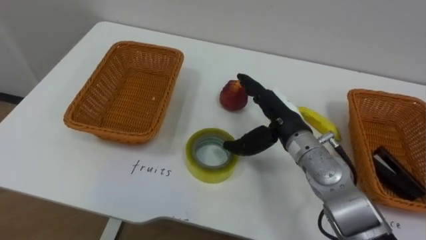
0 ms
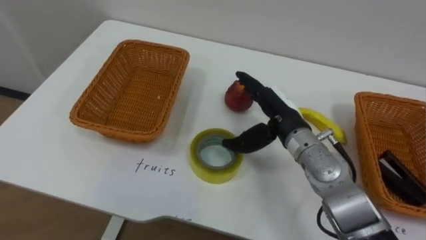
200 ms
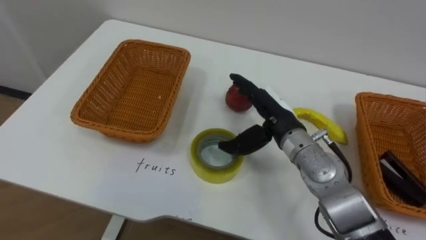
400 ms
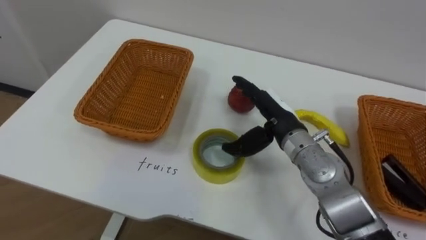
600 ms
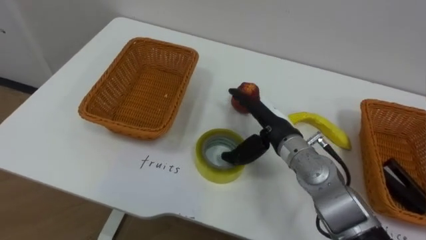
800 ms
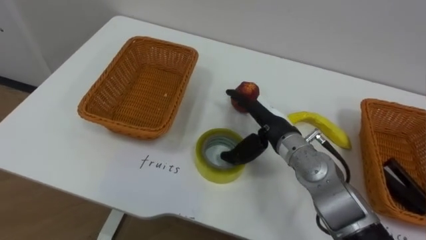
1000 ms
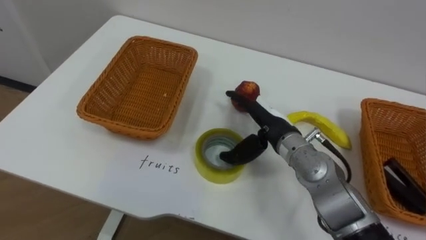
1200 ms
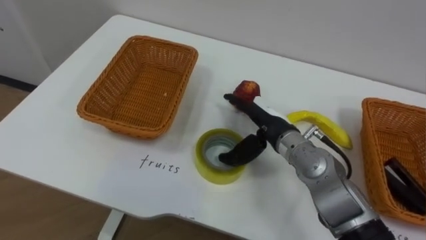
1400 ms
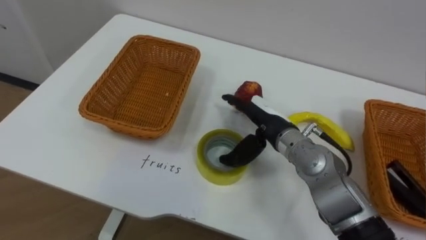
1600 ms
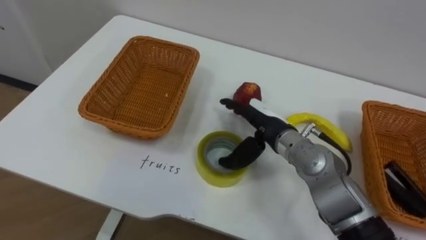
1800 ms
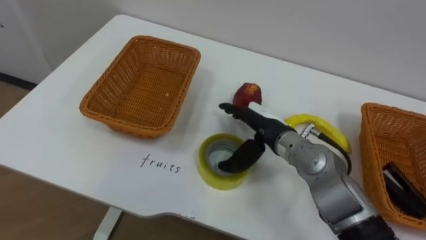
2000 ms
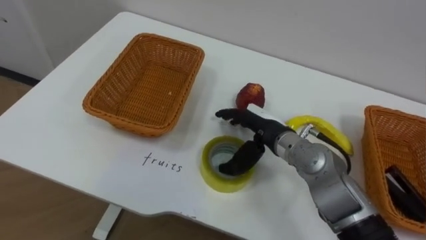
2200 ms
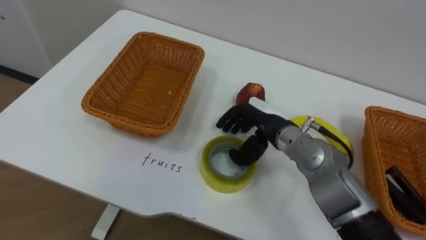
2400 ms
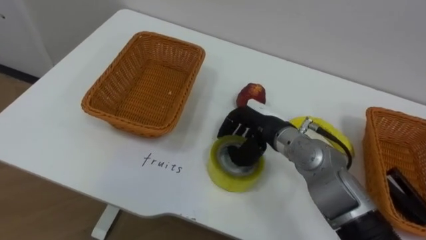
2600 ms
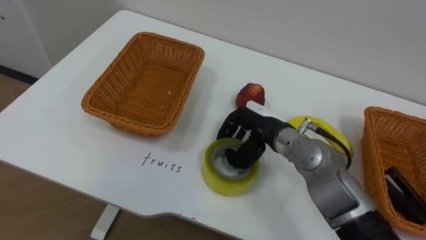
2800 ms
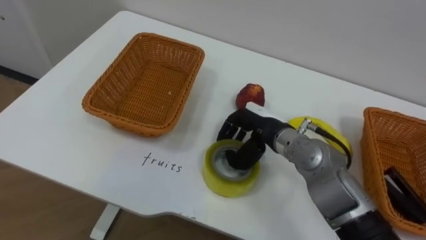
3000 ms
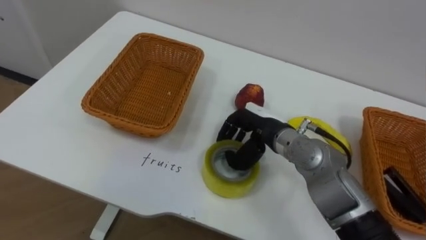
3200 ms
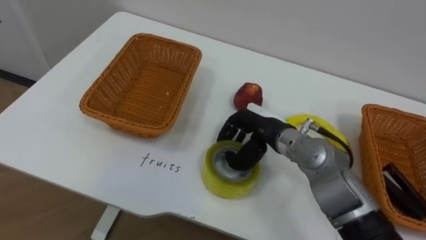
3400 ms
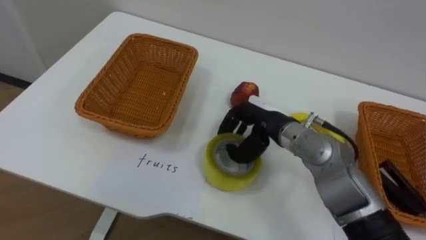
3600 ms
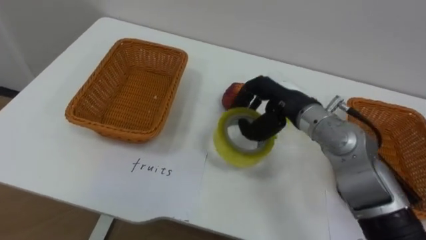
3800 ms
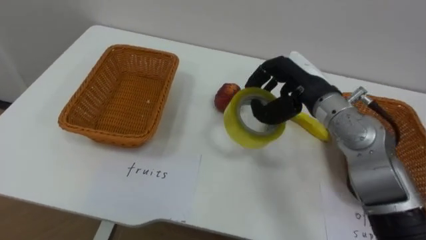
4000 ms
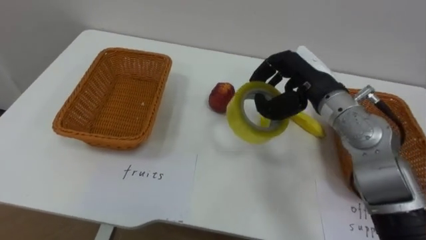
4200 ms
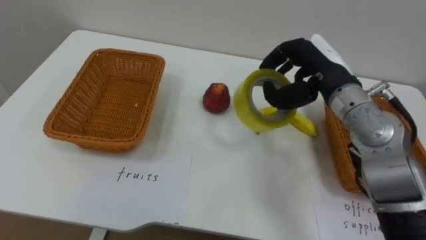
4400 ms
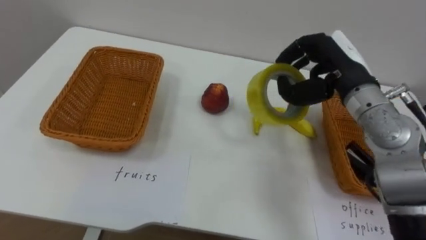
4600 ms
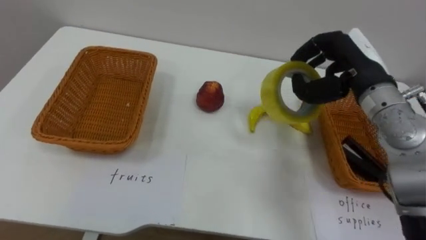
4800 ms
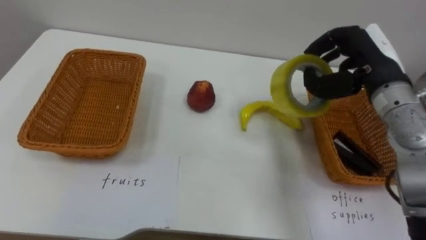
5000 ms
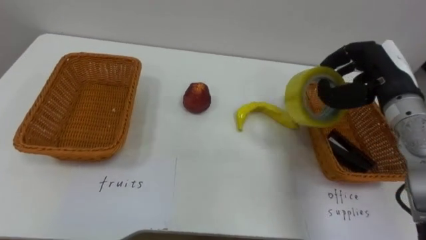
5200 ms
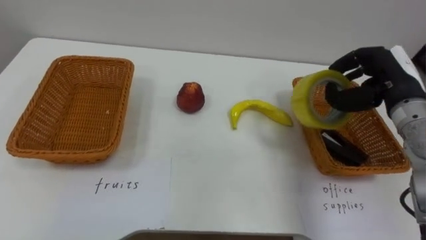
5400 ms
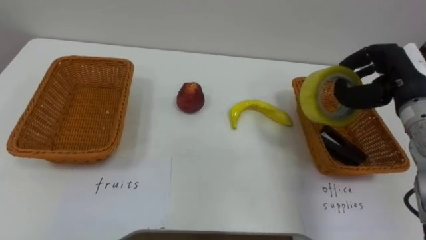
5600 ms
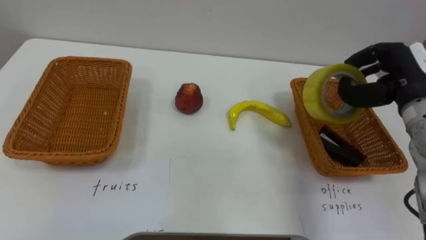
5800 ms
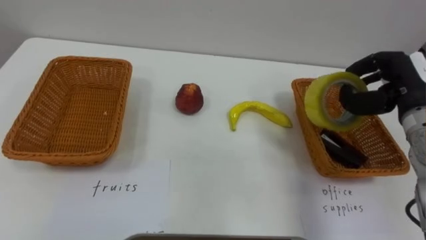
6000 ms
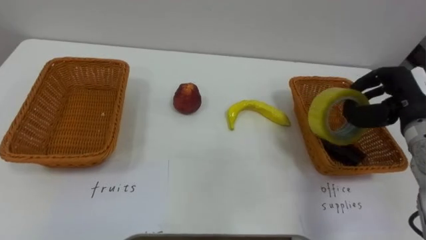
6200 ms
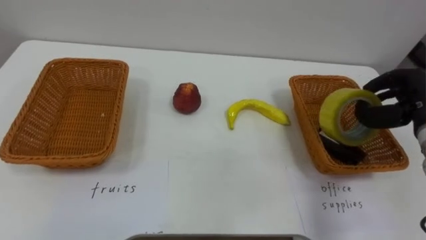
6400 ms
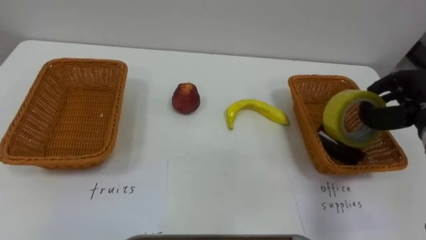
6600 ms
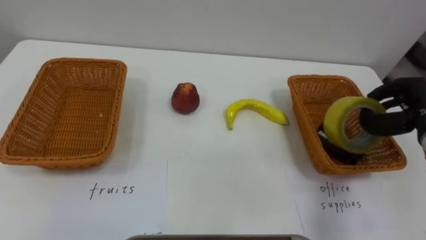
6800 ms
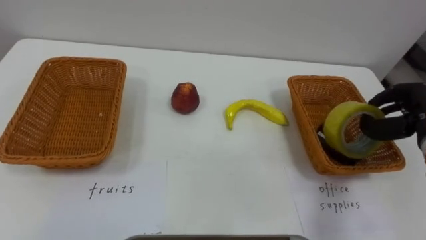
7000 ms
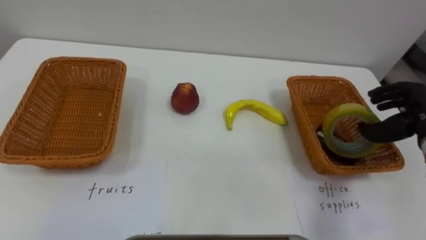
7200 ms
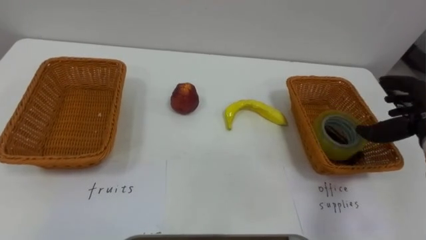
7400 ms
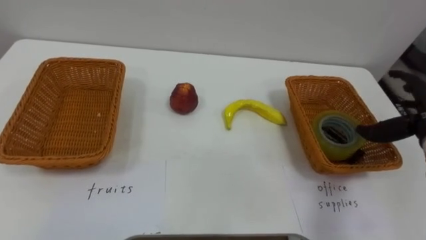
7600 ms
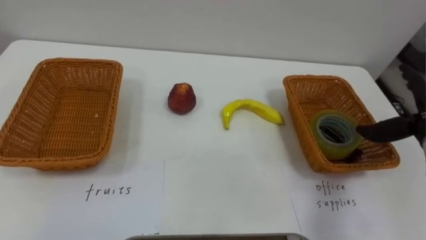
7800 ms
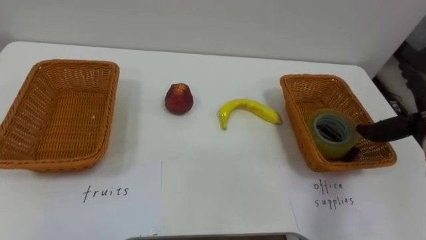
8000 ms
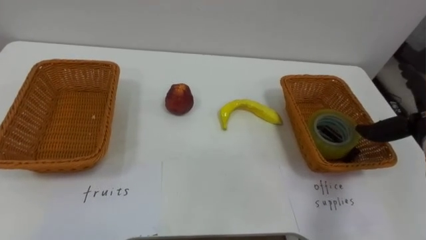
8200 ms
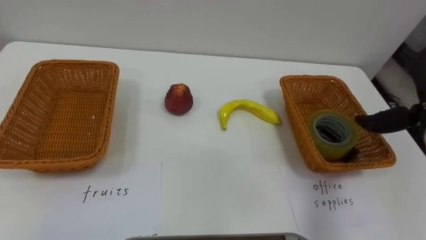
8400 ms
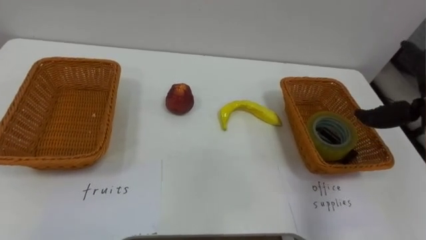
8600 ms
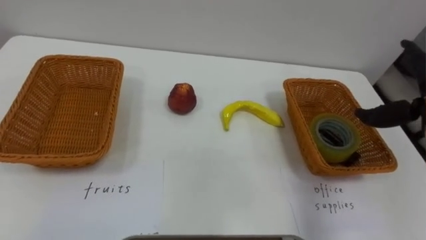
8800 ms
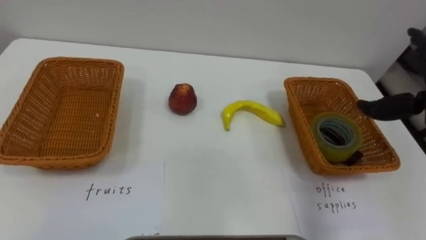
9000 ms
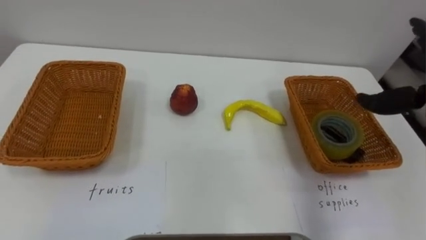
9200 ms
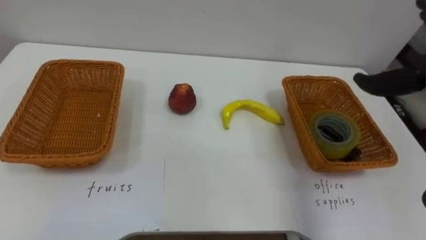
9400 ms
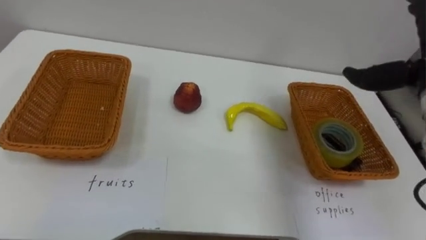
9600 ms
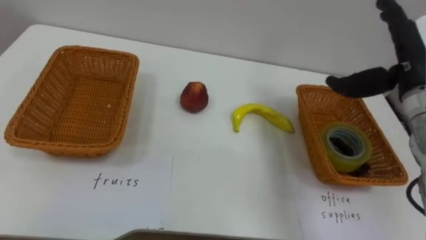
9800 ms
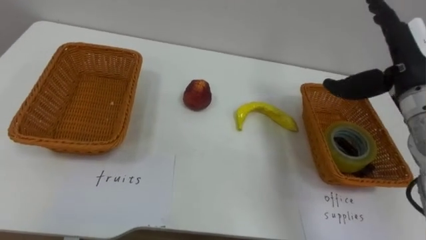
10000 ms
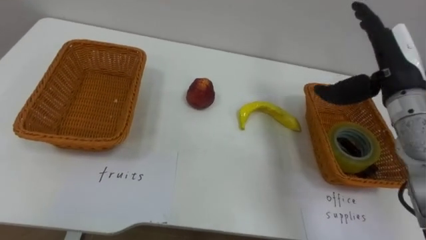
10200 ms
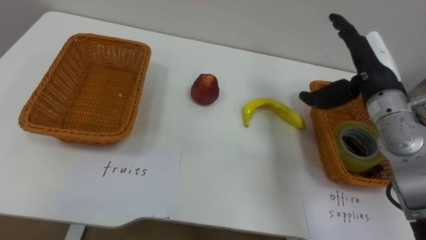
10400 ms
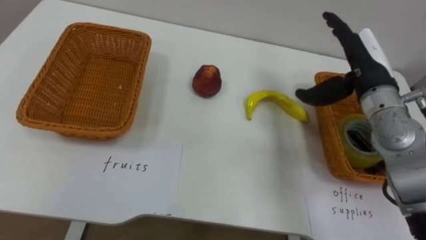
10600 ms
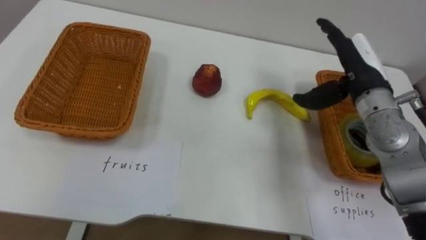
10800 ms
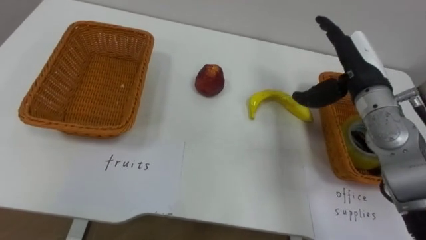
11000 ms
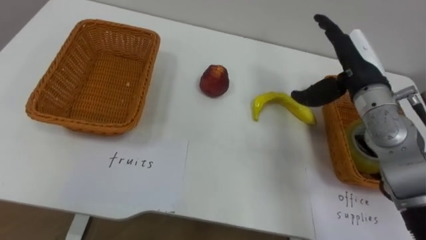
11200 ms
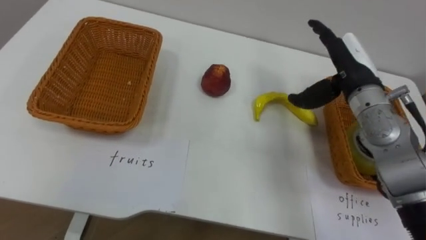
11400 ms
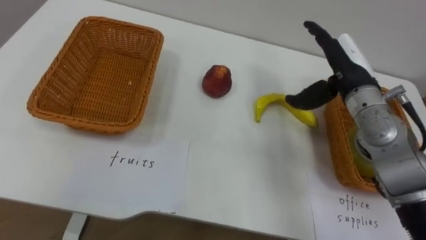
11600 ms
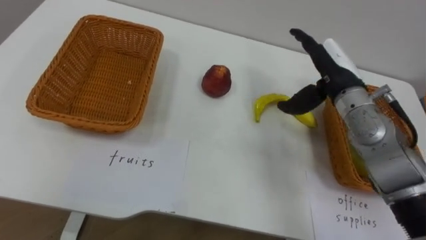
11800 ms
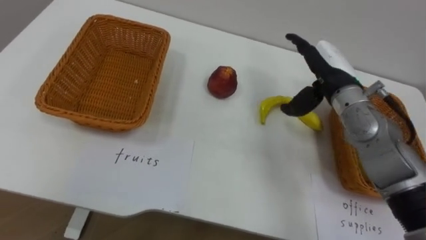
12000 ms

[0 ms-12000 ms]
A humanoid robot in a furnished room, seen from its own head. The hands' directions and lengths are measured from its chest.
Task of the whole recording: Separate the items on the table and place them into the two baskets.
1600 ms to 3000 ms: The right hand closes.
3000 ms to 4400 ms: The right hand is displaced upward and to the right by approximately 15 cm.
4400 ms to 6000 ms: The right hand shifts approximately 15 cm to the right.
10400 ms to 12000 ms: The right hand moves to the left, about 5 cm.

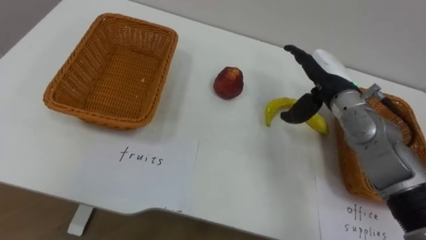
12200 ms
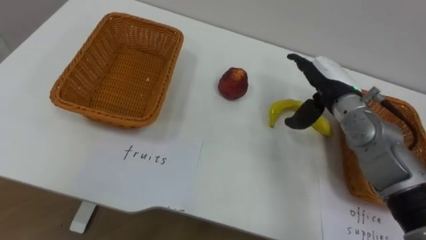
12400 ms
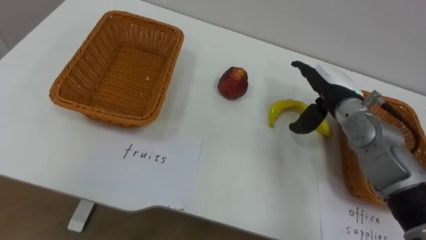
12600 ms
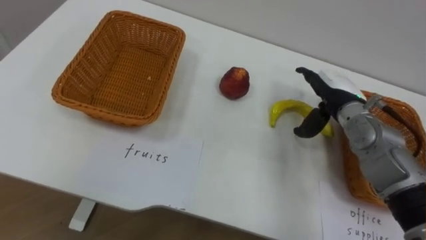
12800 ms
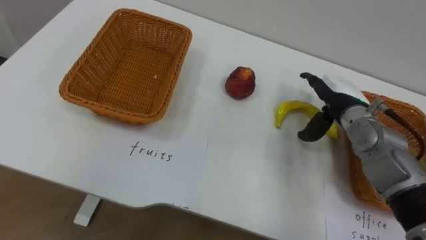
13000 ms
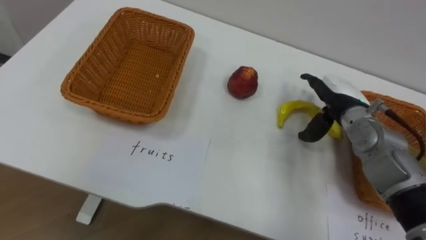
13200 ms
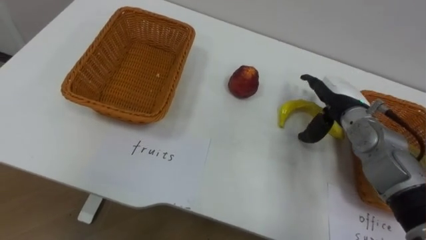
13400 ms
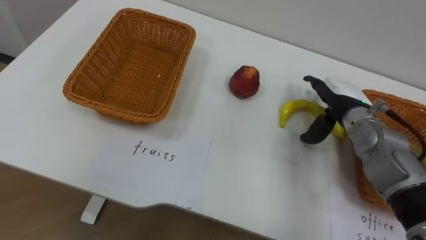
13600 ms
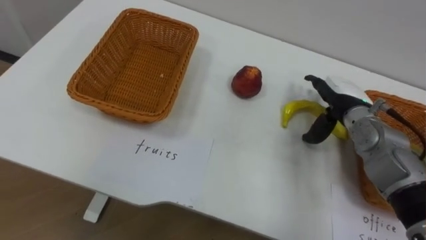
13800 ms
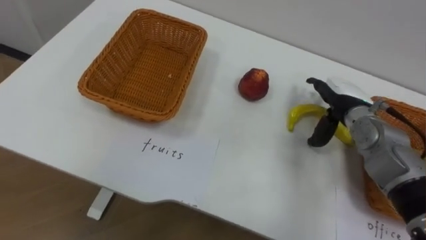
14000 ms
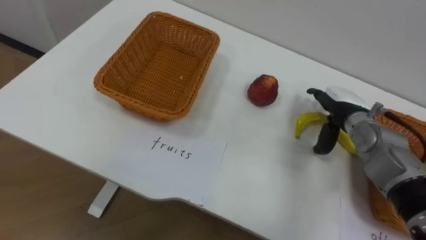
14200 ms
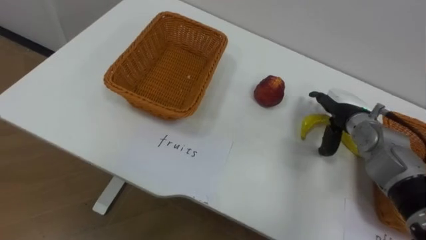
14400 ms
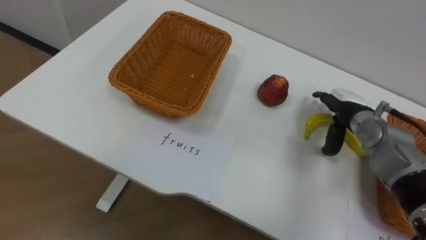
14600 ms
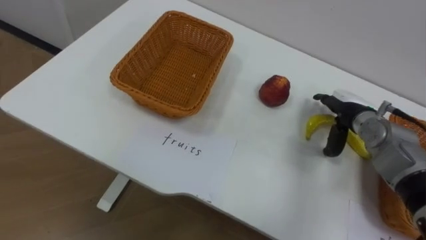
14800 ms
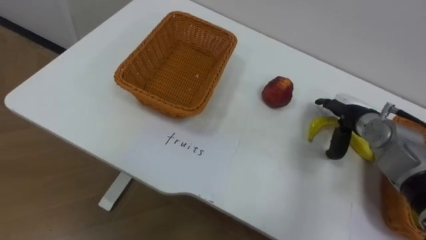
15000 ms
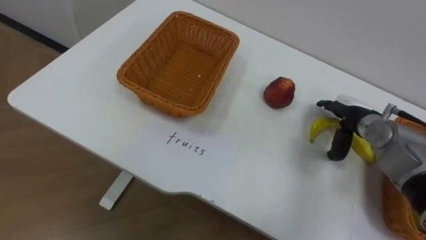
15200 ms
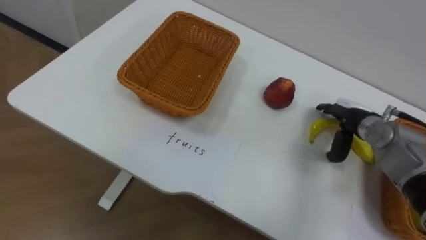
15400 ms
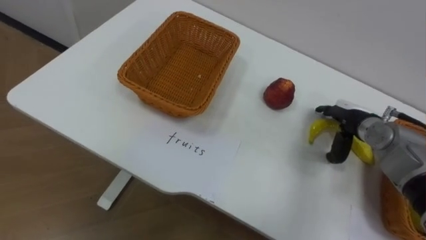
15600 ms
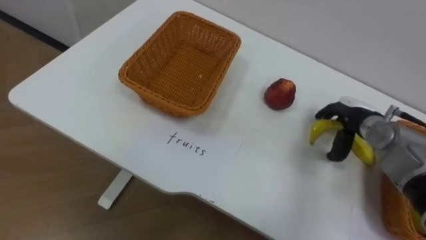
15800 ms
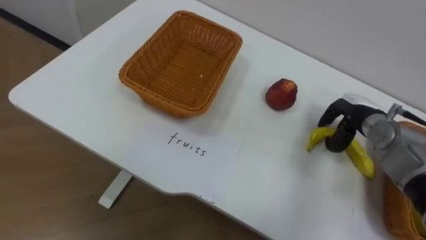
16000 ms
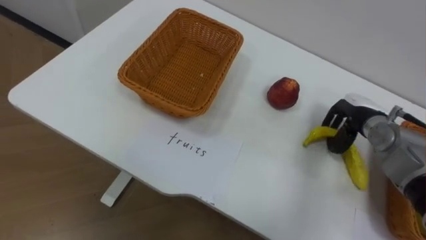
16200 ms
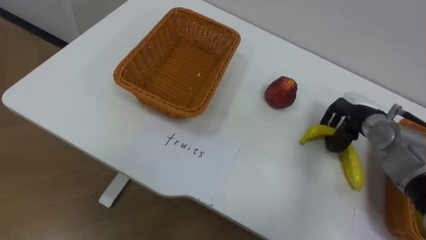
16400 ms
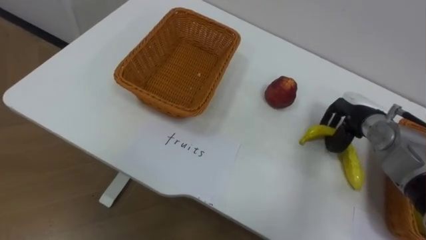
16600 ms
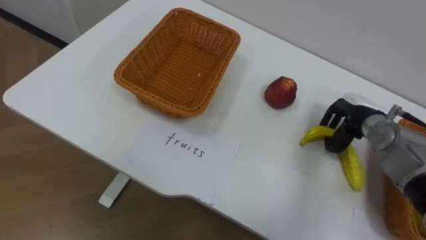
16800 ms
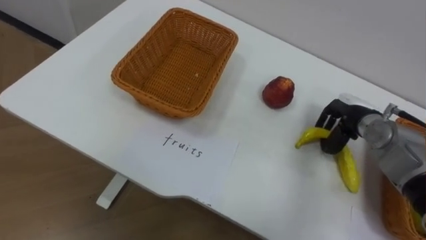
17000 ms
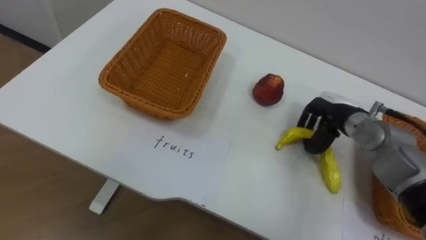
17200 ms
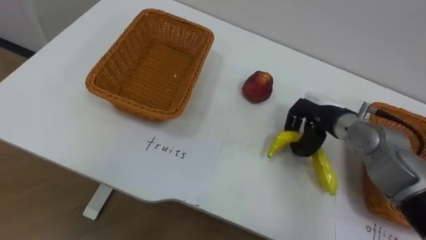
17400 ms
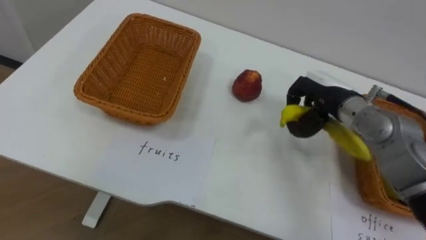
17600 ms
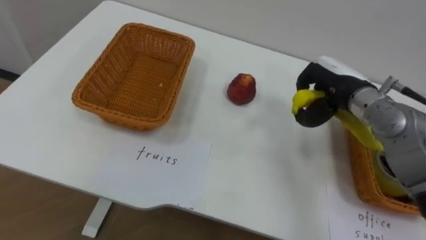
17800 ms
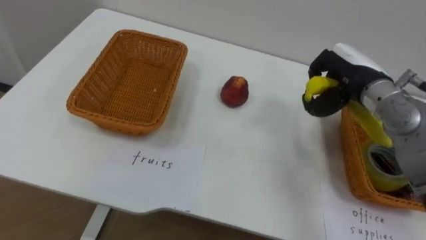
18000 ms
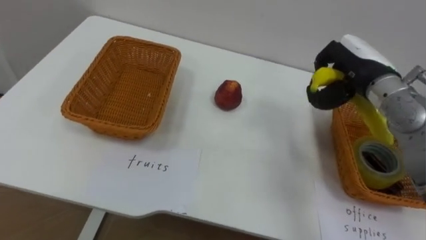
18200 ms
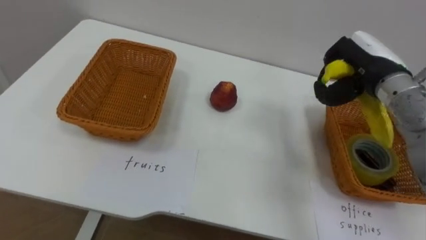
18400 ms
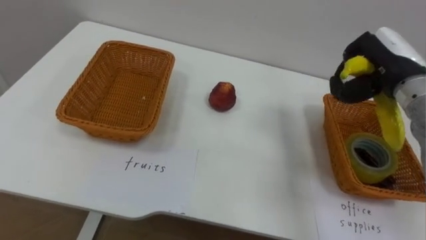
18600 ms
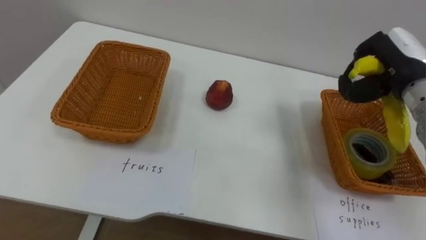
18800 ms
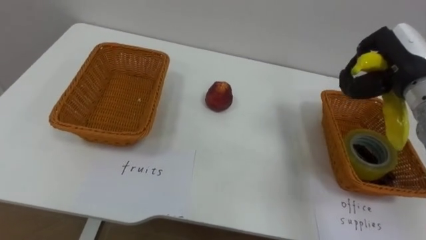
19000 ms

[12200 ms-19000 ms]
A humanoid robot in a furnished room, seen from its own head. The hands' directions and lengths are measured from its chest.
Task of the whole recording: Separate the items on the table and place them into the two baskets.
12200 ms to 13600 ms: The right hand goes roughly 5 cm downward.
13600 ms to 15000 ms: The right hand shifts by some 5 cm.
15000 ms to 16200 ms: The right hand closes its fingers.
16200 ms to 17600 ms: The right hand heads to the left and upward, covering about 10 cm.
17600 ms to 19000 ms: The right hand moves to the right and upward, roughly 10 cm.
